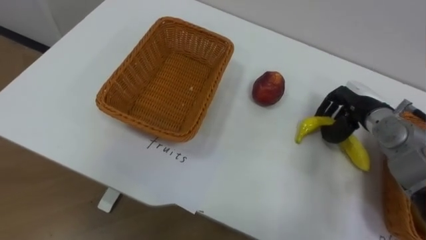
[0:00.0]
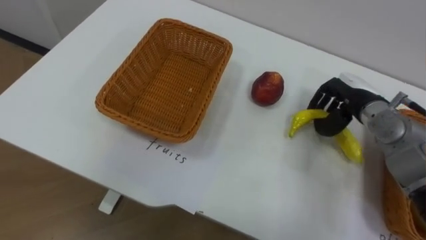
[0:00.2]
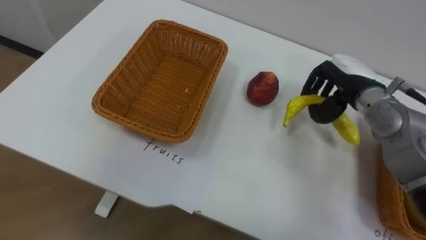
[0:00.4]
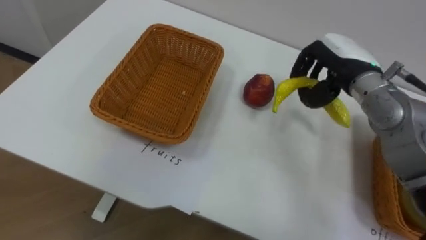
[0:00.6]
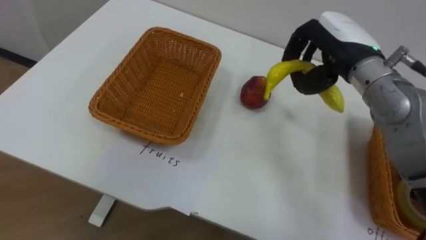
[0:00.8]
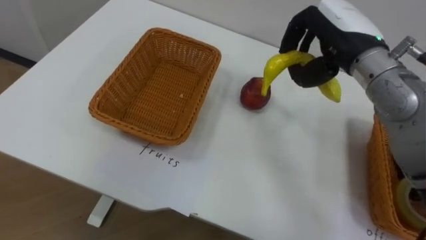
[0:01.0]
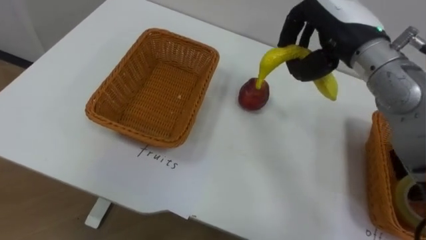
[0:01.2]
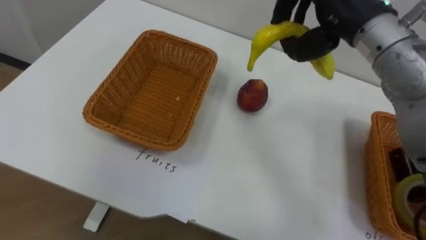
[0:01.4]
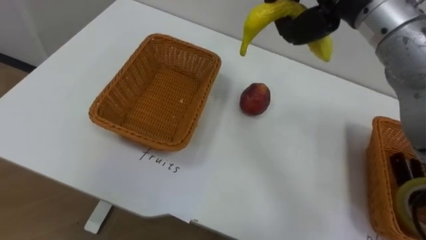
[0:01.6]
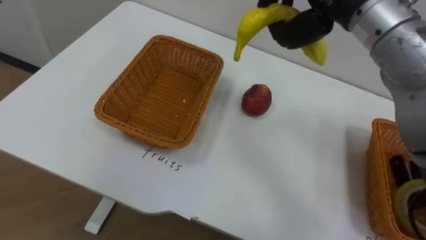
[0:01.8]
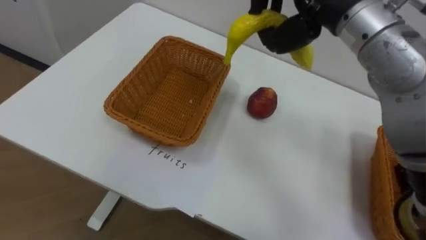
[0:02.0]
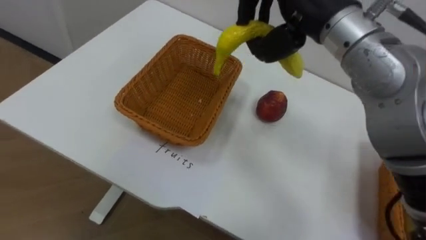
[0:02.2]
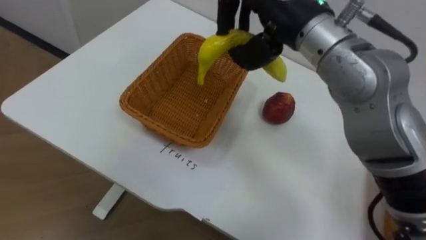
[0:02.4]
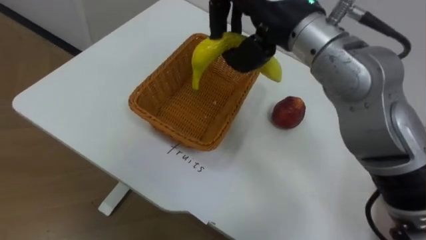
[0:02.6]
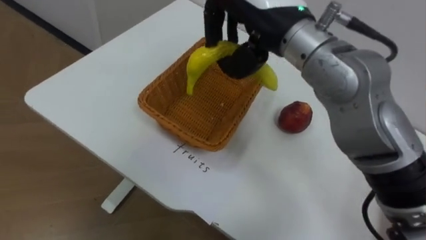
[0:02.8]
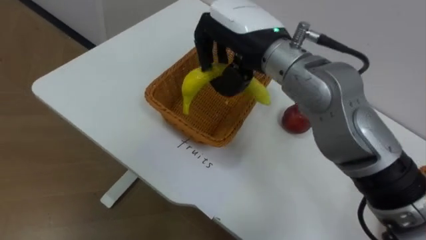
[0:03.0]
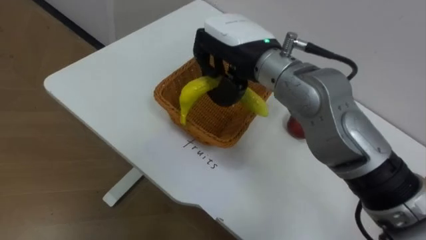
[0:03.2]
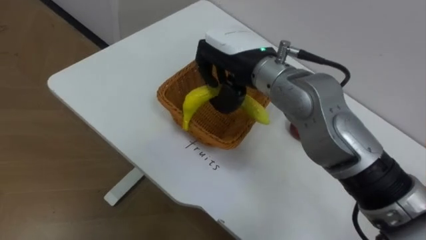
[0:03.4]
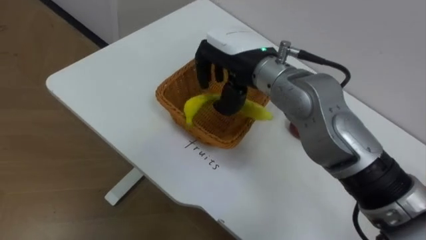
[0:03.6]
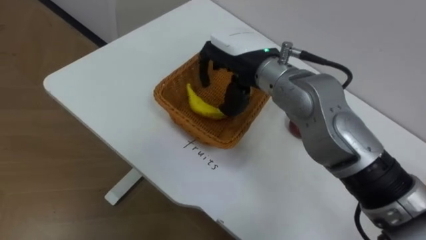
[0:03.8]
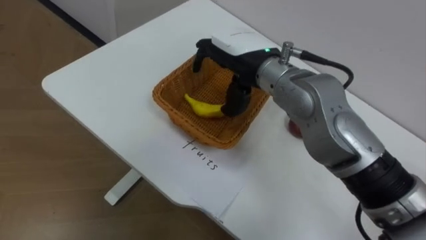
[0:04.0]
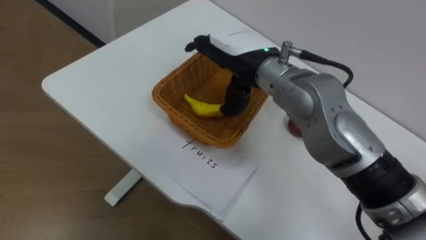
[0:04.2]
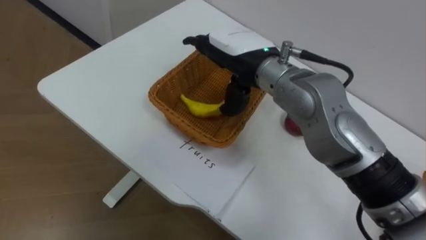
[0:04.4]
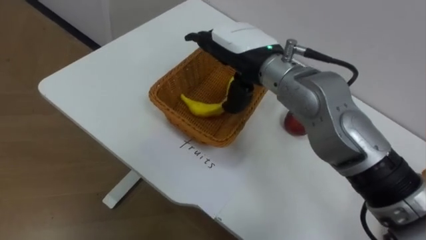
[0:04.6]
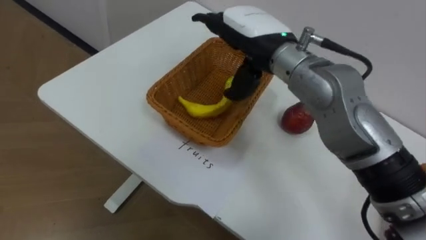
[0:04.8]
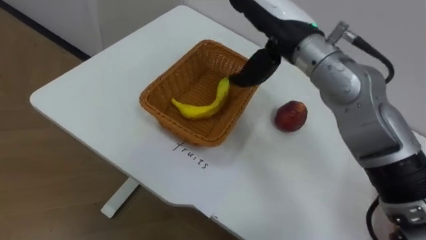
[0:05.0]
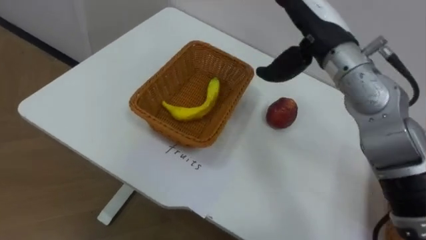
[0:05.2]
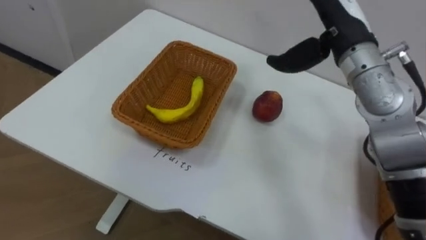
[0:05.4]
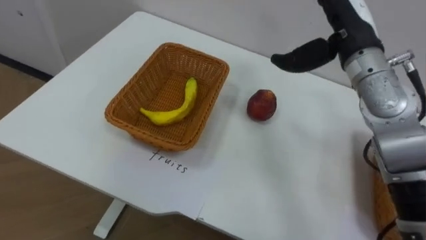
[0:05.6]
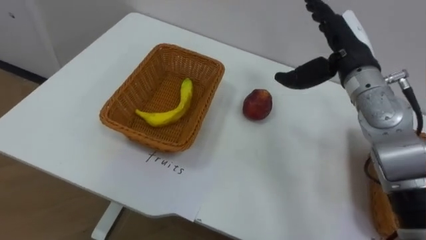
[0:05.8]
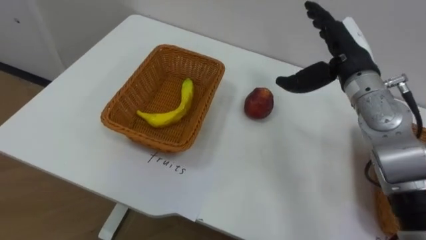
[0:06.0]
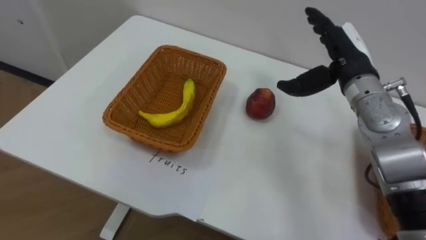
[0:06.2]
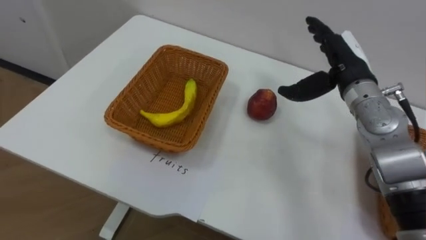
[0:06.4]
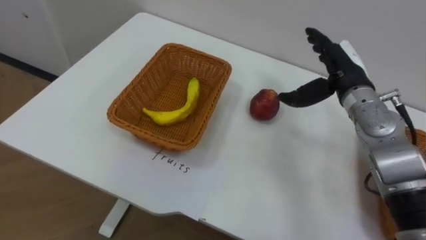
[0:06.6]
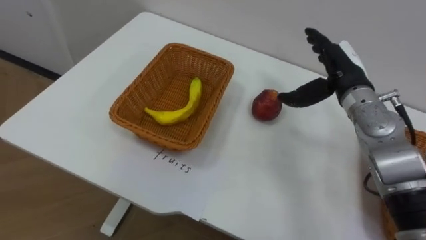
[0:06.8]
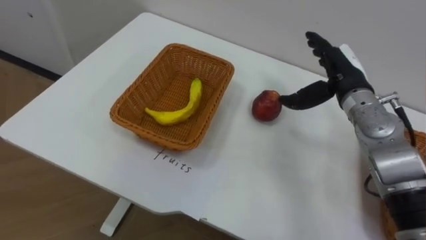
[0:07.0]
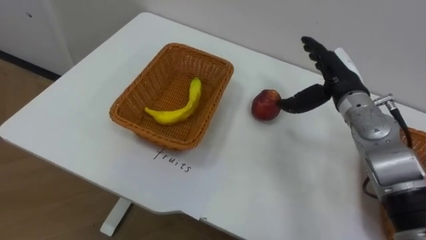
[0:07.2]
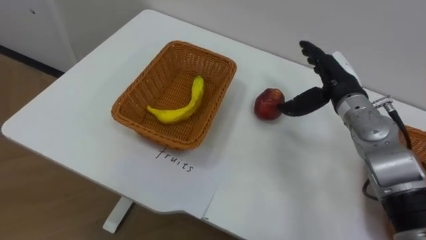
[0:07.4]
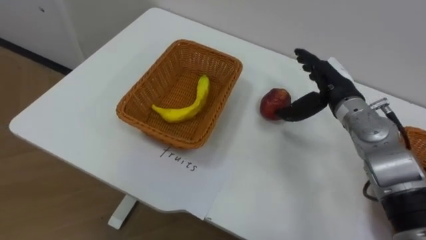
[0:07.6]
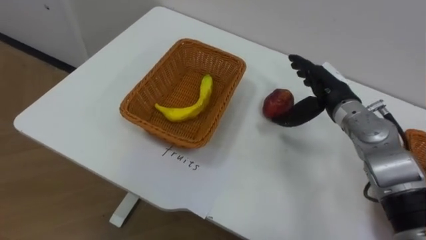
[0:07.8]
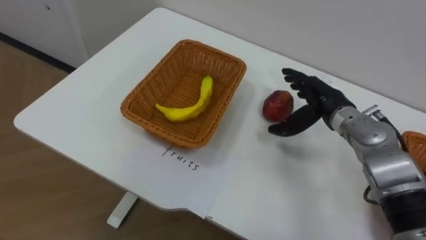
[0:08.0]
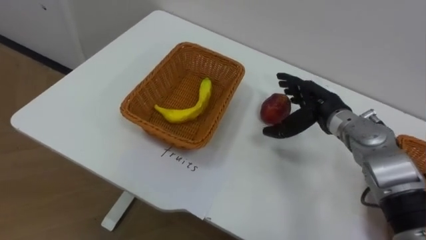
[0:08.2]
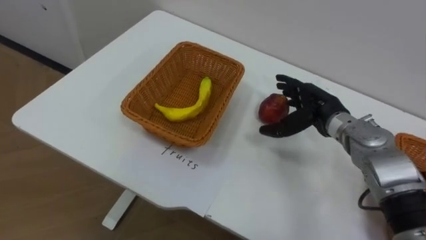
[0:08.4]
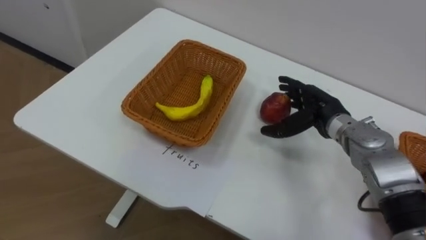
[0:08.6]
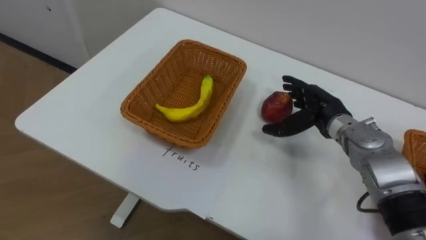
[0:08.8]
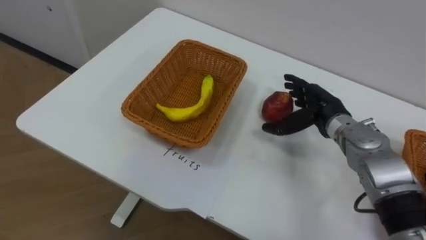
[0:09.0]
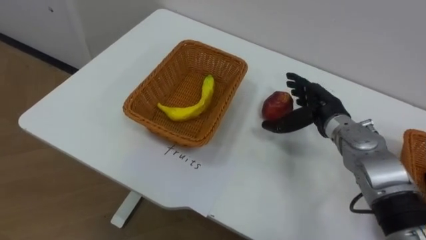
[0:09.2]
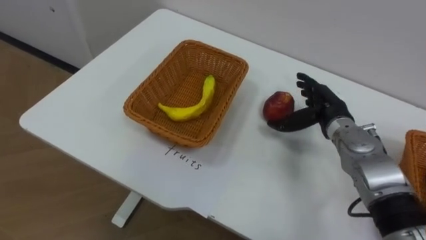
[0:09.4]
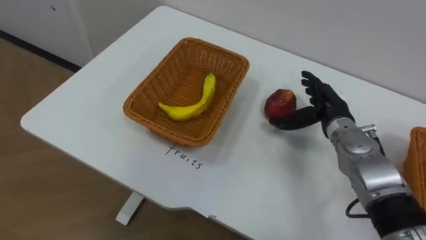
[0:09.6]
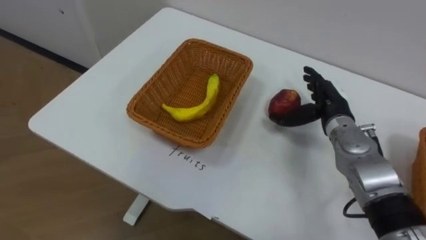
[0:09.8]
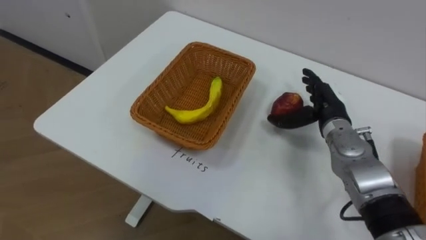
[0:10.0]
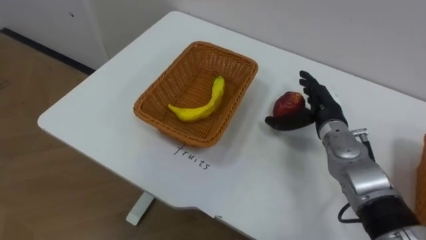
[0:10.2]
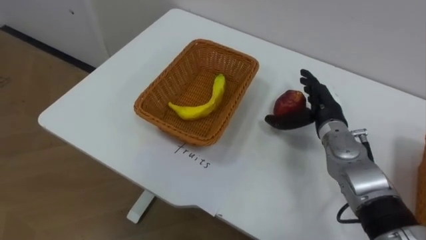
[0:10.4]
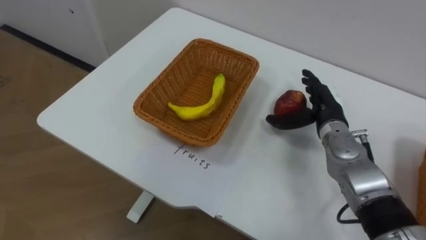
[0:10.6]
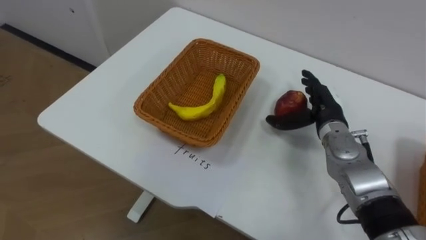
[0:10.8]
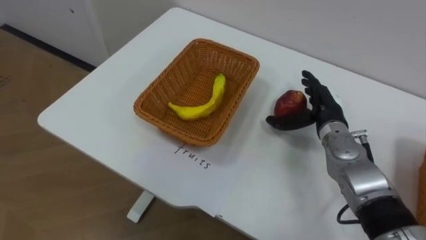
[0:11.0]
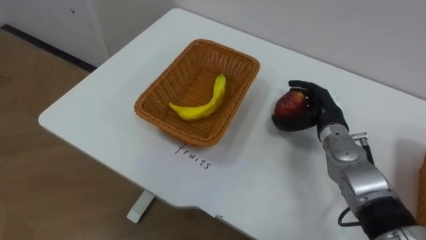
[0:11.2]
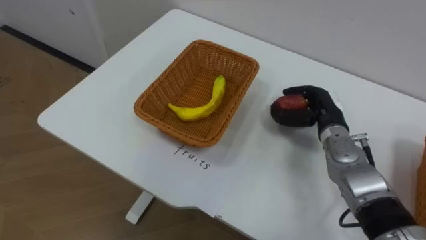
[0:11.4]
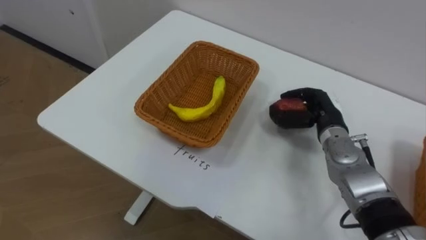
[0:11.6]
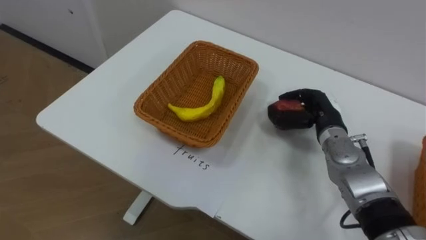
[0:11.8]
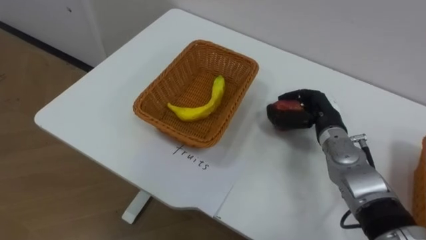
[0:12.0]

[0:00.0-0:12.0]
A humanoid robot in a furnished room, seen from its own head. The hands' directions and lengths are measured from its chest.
Task of the whole recording: Separate the items on the table and place them into the two baskets.
0:03.0 to 0:04.4: The right hand opens its fingers.
0:04.4 to 0:06.0: The right hand heads to the right, covering roughly 20 cm.
0:06.0 to 0:07.6: The right hand moves downward, some 5 cm.
0:10.4 to 0:12.0: The right hand closes its fingers.

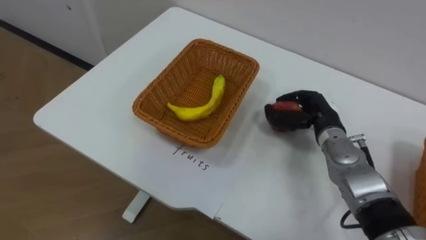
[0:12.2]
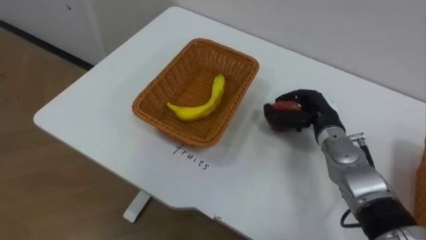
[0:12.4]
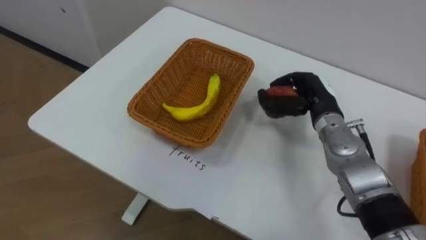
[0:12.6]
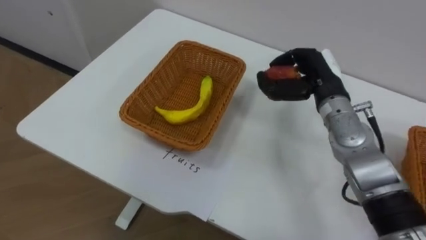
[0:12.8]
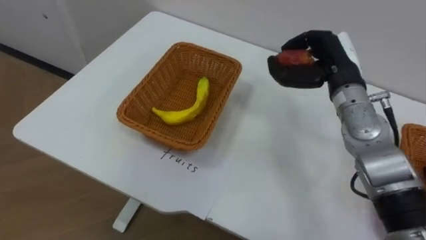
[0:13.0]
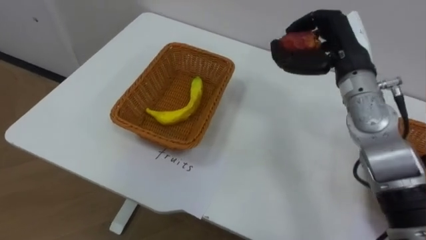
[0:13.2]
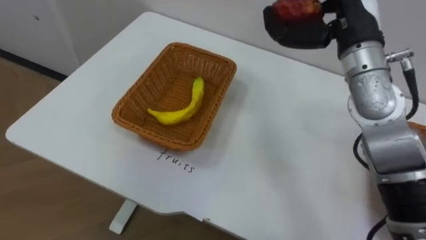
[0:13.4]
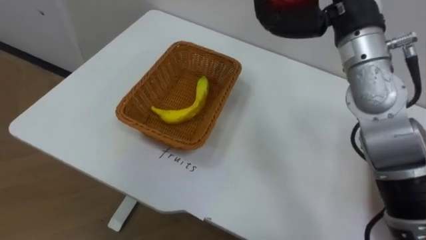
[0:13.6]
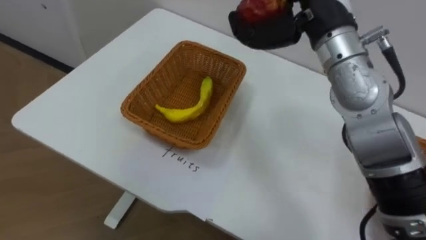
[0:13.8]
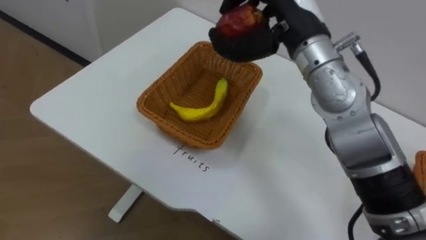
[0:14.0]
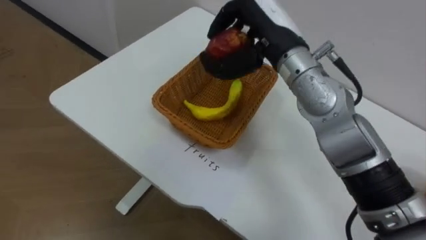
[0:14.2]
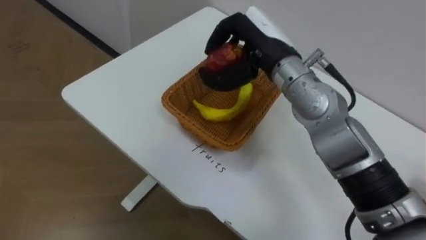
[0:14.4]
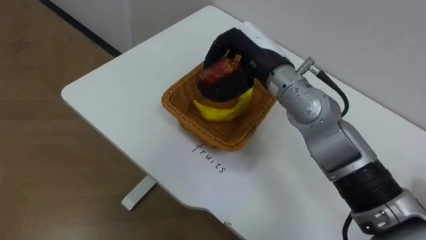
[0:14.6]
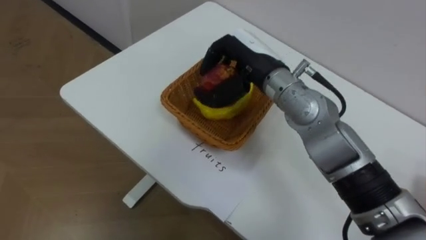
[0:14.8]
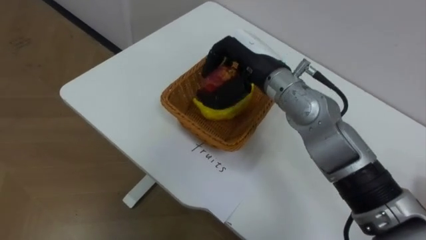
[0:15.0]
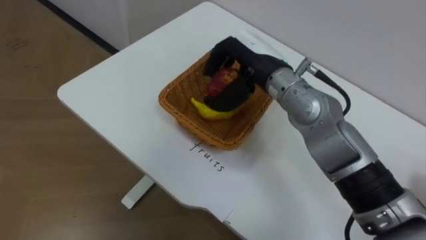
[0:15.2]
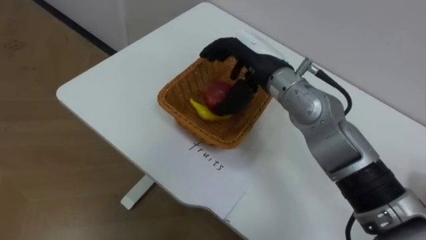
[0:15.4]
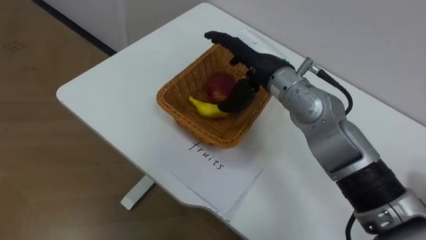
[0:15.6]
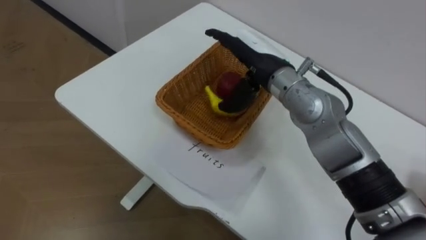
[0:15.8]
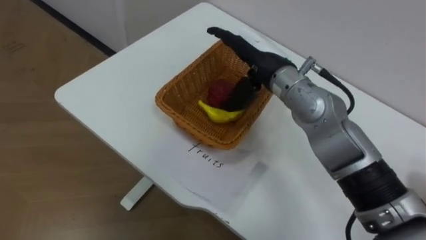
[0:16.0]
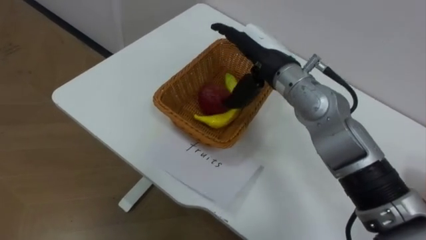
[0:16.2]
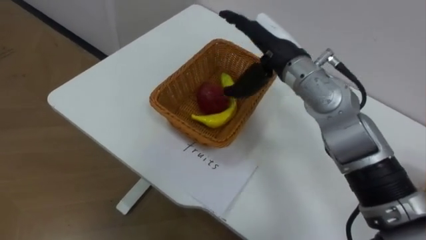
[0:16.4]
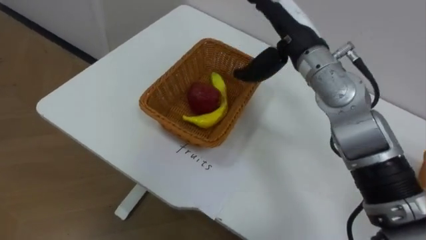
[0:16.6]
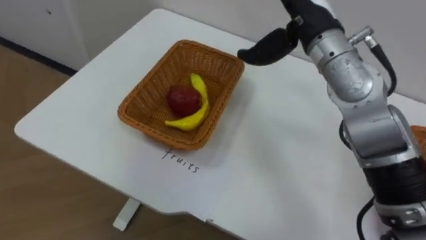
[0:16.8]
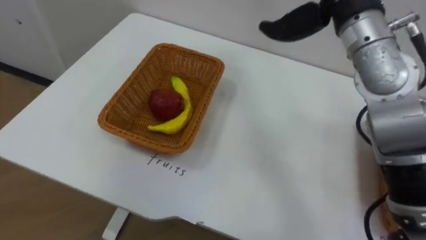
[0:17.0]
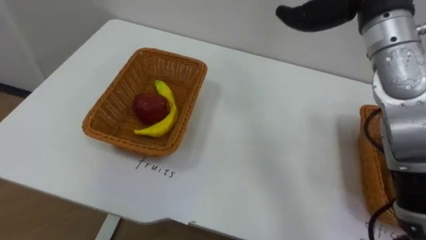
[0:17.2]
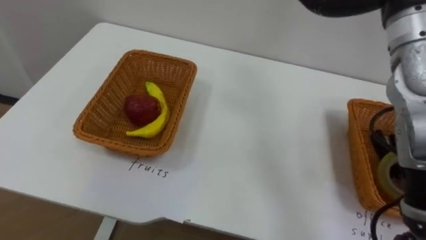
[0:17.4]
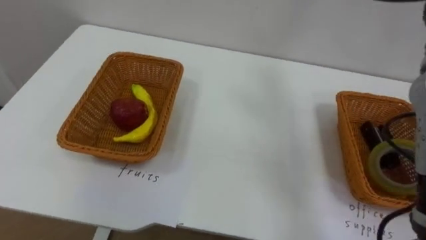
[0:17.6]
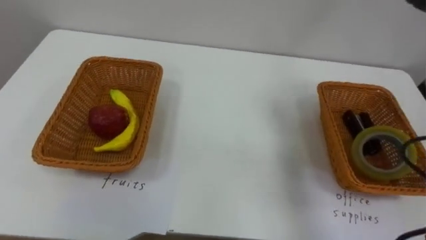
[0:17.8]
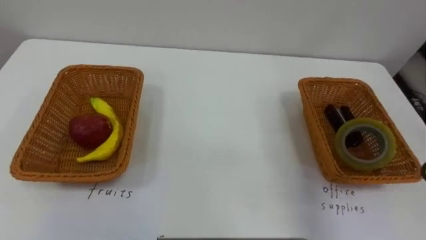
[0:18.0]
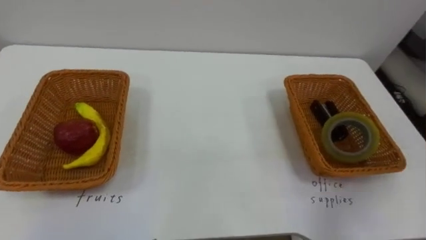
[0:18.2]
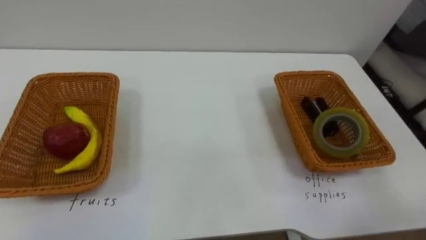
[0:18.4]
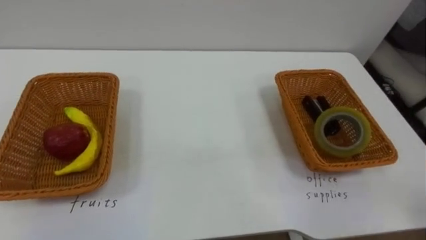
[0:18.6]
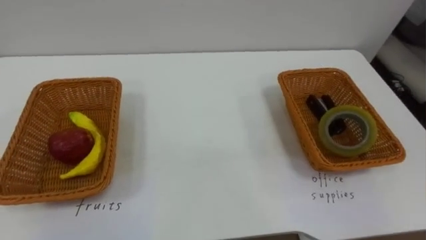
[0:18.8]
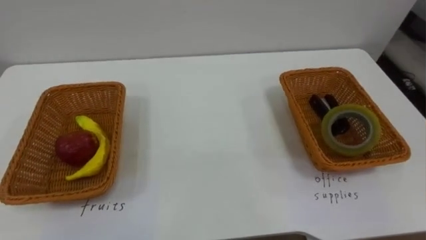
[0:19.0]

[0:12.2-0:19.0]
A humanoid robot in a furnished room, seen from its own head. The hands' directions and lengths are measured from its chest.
Task of the whole recording: Separate the items on the table and place them into the two baskets.
0:12.2 to 0:13.6: The right hand moves upward, roughly 25 cm.
0:13.6 to 0:15.0: The right hand heads downward and to the left, covering roughly 15 cm.
0:15.0 to 0:16.2: The right hand opens its fingers.
